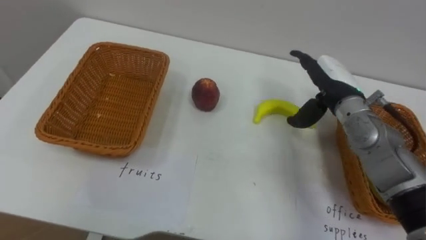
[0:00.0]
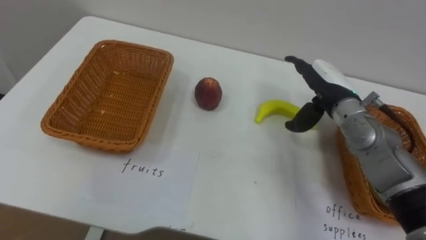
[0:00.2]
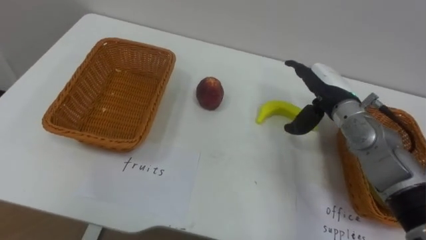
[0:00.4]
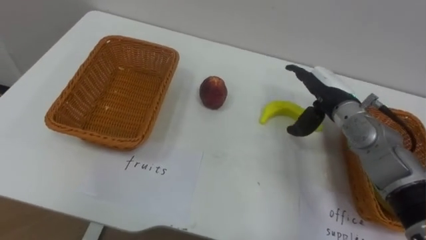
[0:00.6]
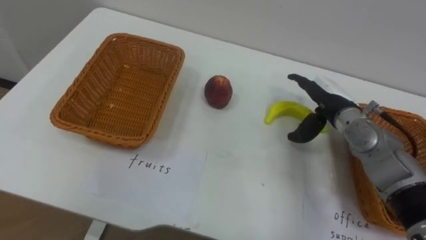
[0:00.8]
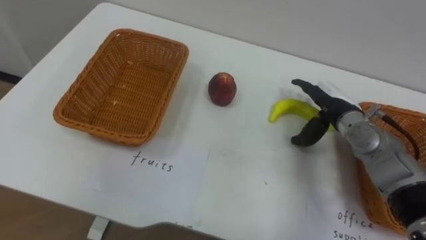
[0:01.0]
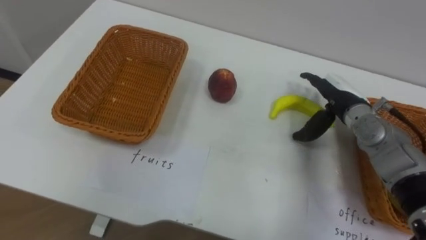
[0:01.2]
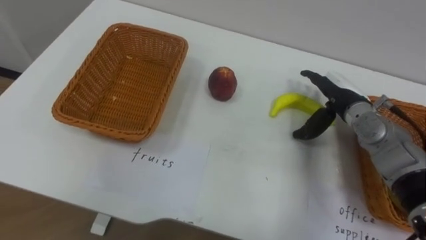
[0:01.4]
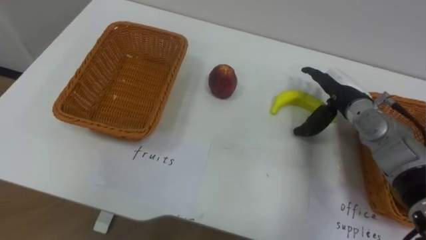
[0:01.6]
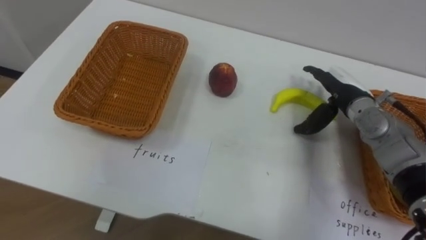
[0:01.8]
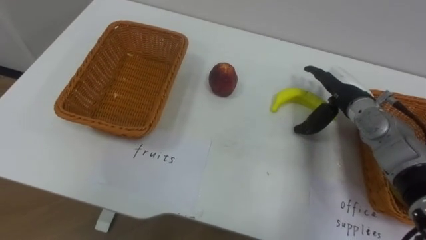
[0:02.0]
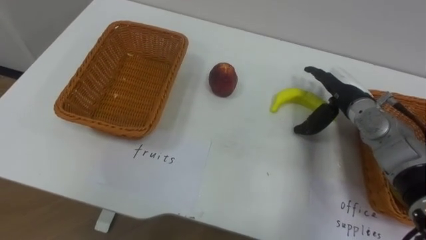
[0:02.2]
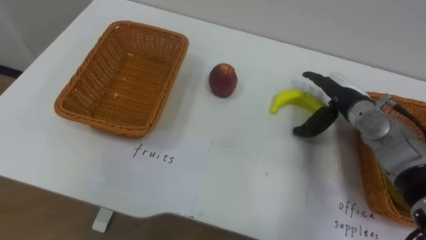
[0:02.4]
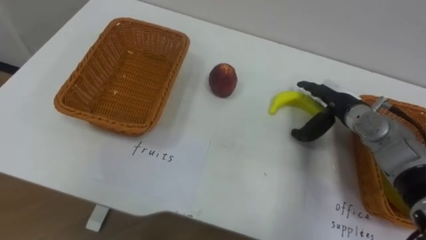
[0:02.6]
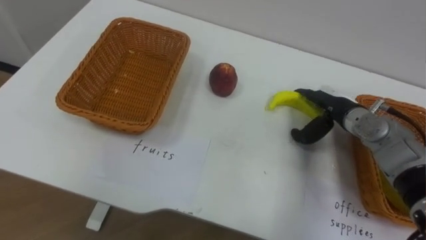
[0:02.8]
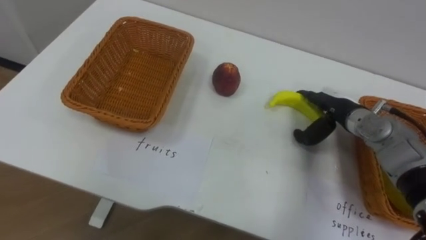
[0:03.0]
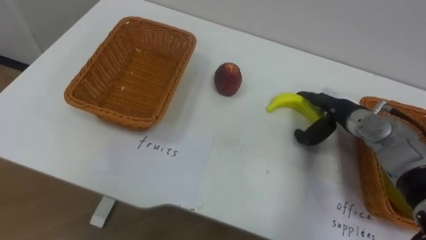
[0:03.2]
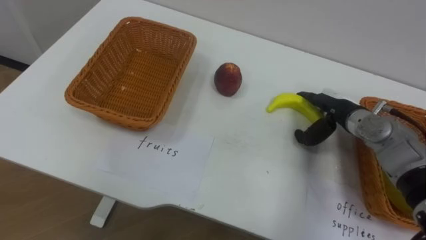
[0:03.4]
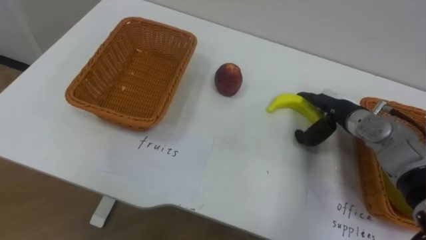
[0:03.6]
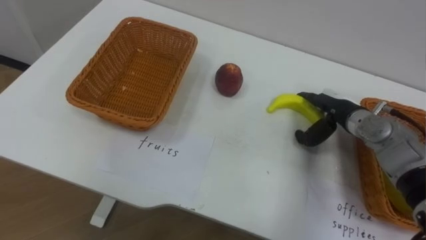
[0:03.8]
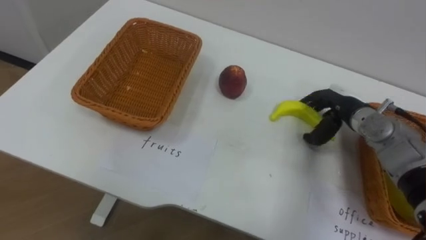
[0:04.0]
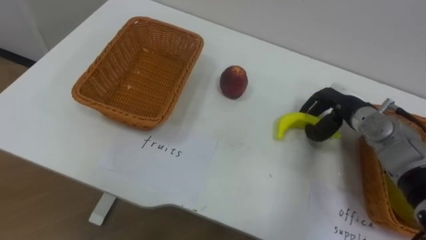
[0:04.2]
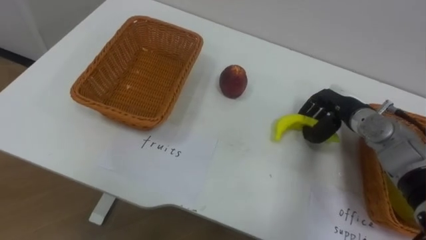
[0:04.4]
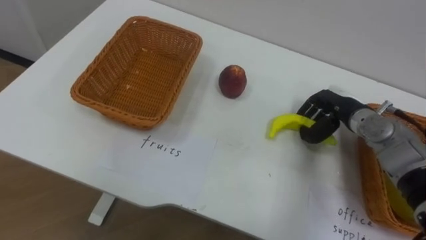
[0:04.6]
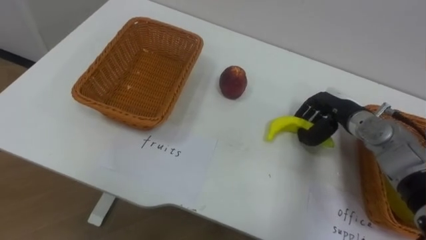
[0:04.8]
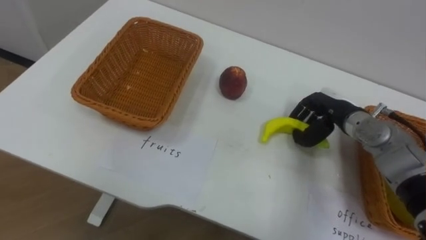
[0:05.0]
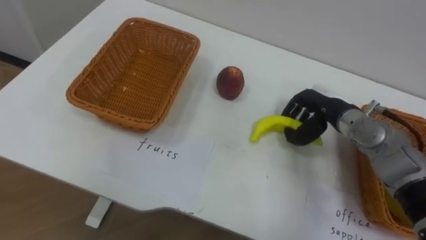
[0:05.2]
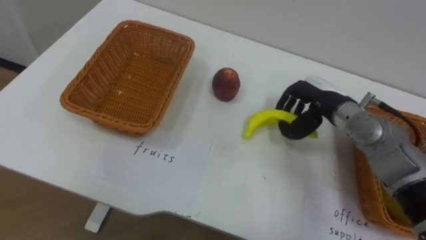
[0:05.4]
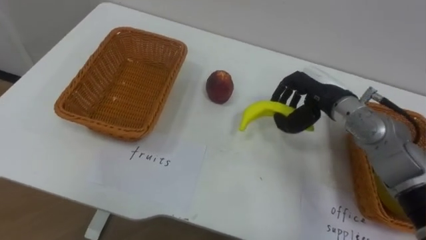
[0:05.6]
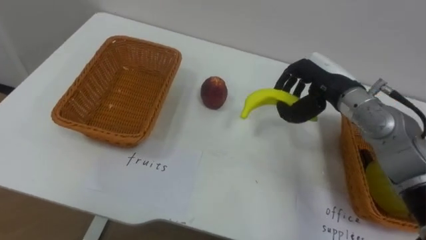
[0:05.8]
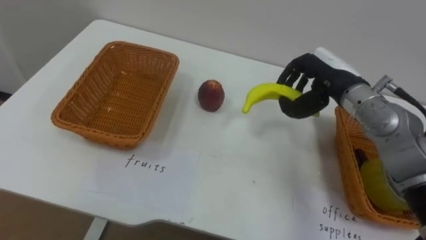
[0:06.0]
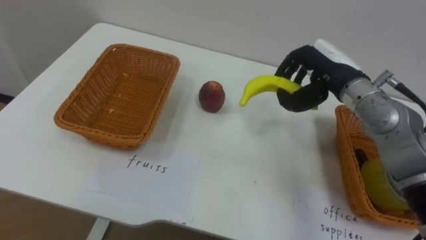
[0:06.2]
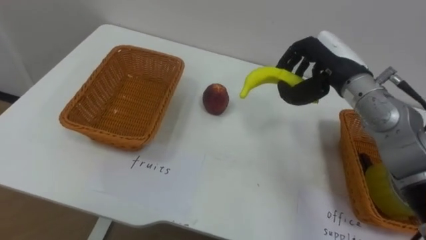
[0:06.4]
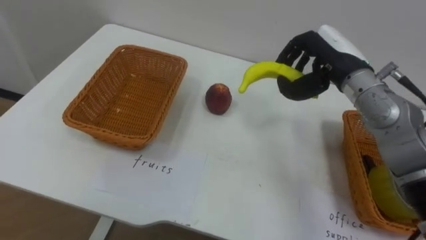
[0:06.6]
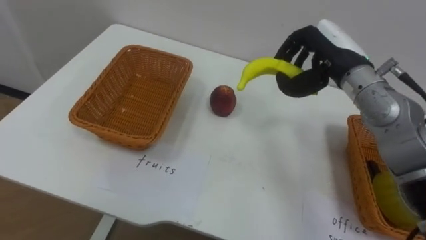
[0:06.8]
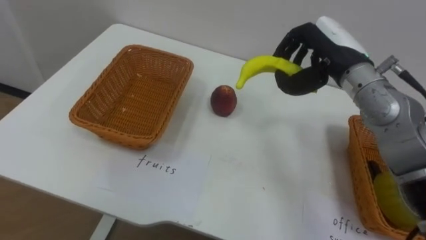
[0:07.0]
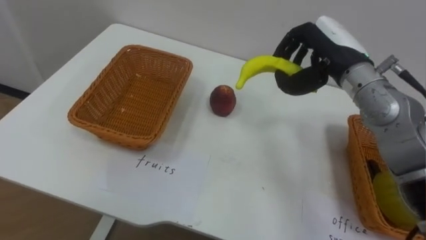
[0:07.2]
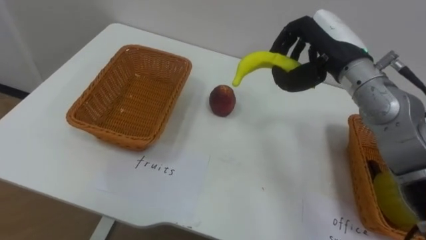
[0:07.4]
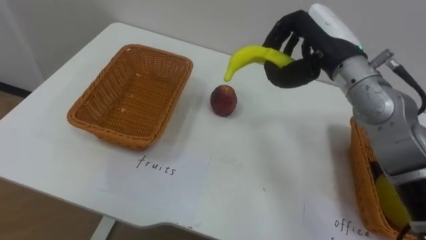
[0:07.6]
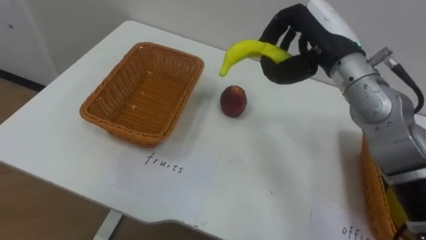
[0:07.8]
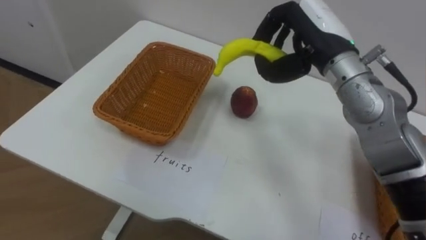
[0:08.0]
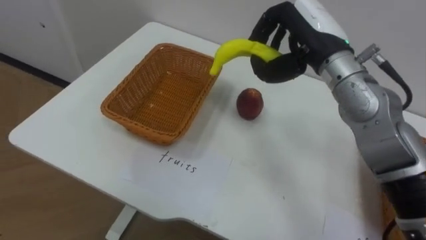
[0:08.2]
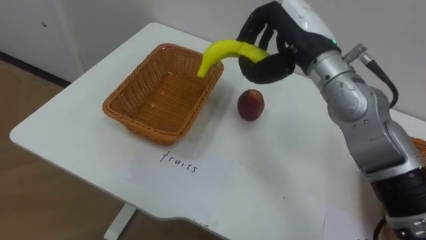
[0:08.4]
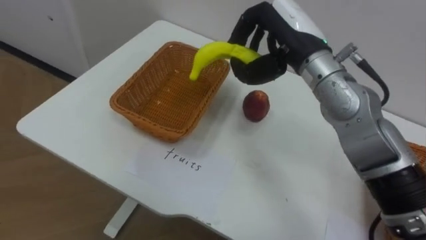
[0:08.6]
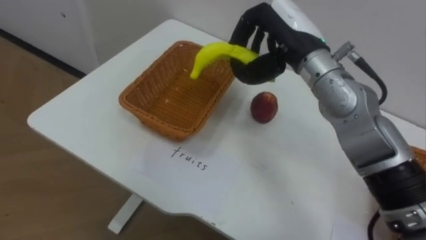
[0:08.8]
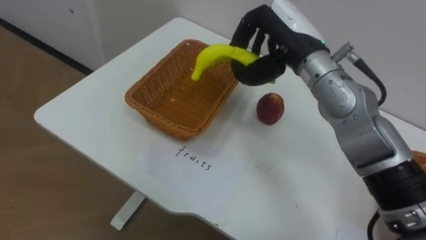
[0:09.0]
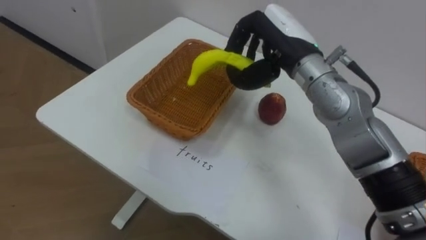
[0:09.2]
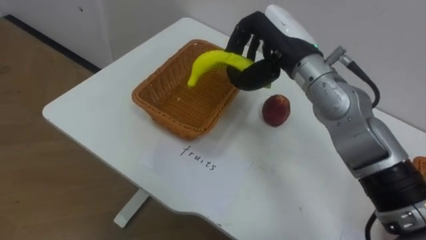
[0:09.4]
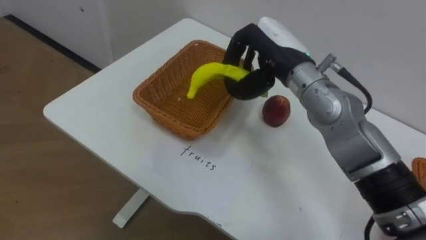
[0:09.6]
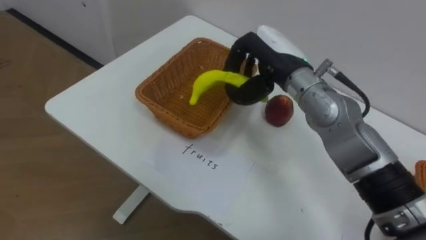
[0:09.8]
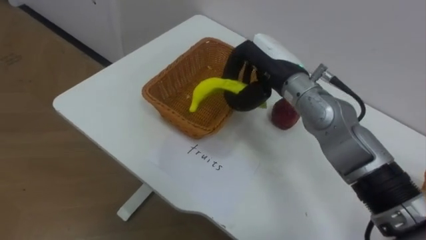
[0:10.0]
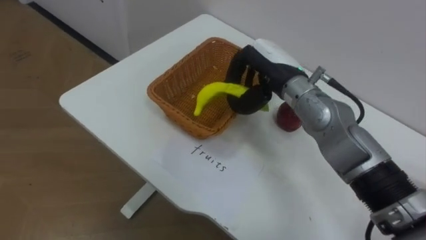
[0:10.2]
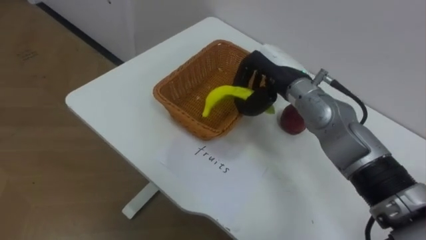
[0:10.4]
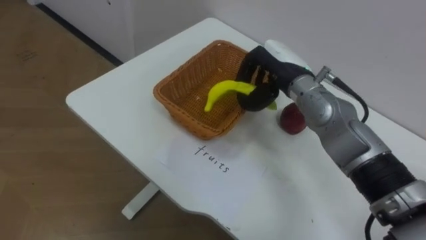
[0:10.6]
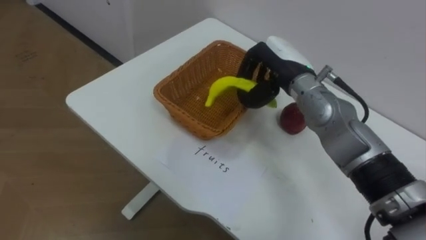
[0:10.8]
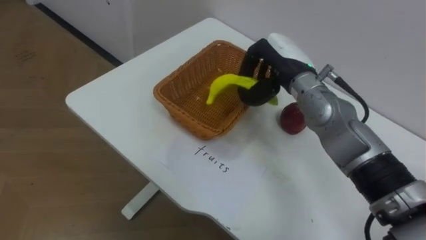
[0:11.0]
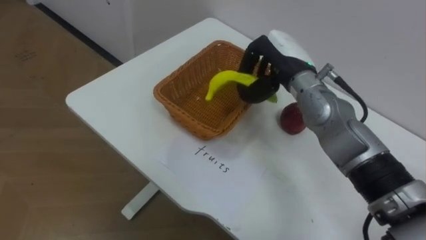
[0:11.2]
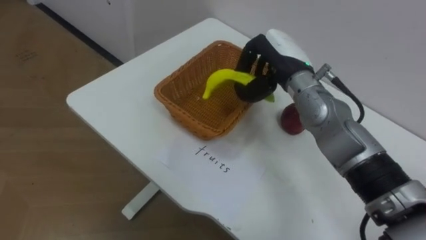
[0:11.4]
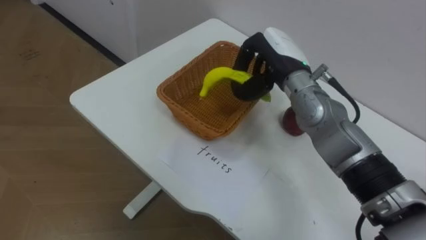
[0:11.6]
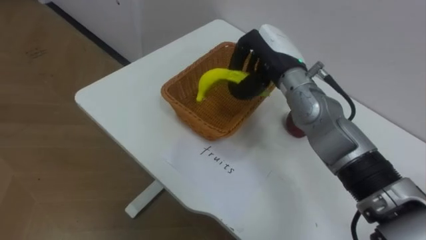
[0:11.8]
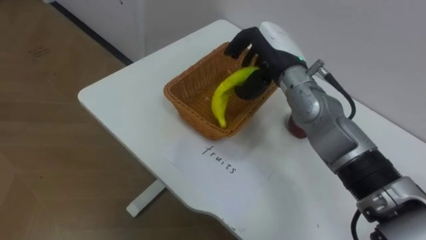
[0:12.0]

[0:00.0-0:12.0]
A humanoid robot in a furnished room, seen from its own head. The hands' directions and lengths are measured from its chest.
Task of the whole recording: Separate the items on the table and place them into the two baskets.
0:00.0 to 0:01.6: The right hand moves roughly 5 cm.
0:03.0 to 0:04.4: The right hand closes its fingers.
0:04.4 to 0:06.0: The right hand shifts roughly 10 cm upward.
0:06.0 to 0:07.6: The right hand travels upward by approximately 5 cm.
0:07.6 to 0:09.0: The right hand is displaced to the left by about 5 cm.
0:09.0 to 0:10.4: The right hand moves downward, approximately 10 cm.

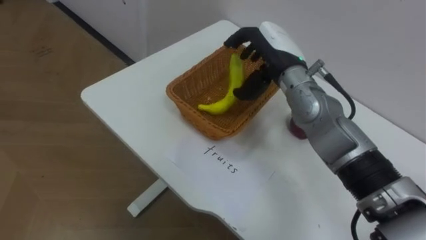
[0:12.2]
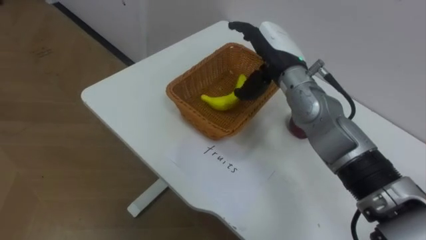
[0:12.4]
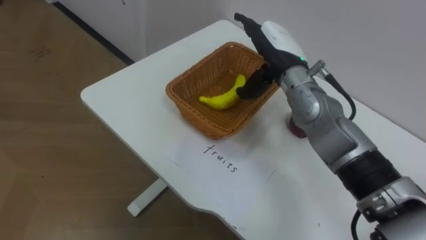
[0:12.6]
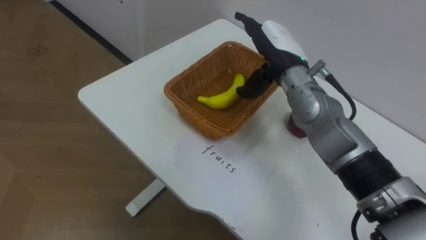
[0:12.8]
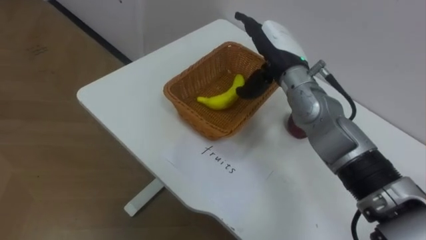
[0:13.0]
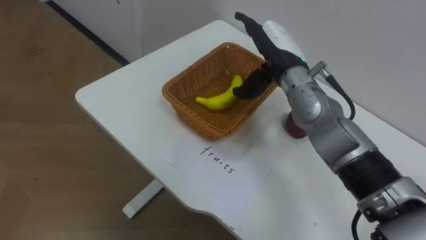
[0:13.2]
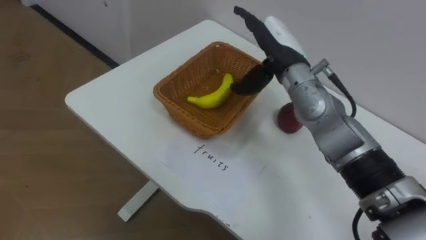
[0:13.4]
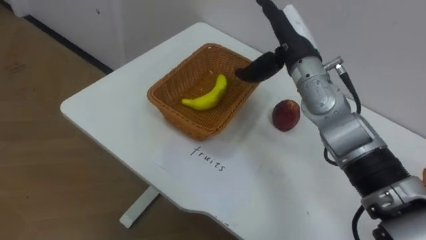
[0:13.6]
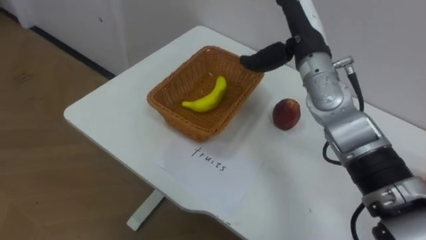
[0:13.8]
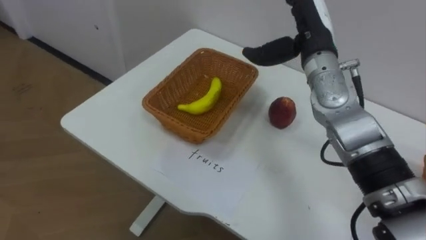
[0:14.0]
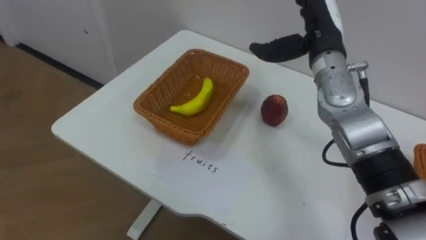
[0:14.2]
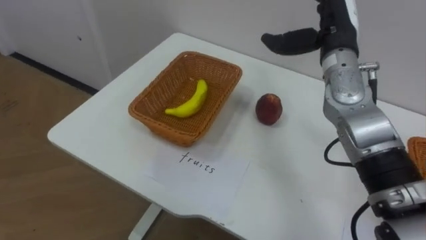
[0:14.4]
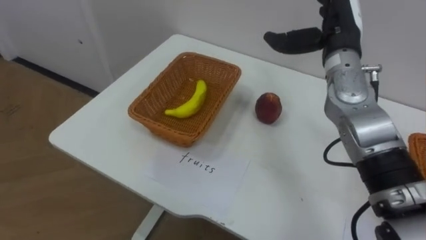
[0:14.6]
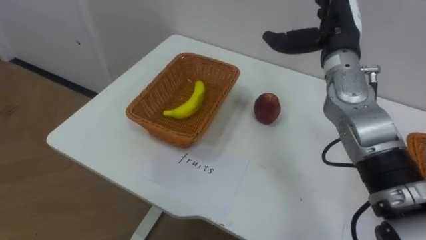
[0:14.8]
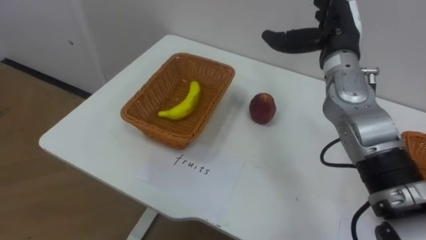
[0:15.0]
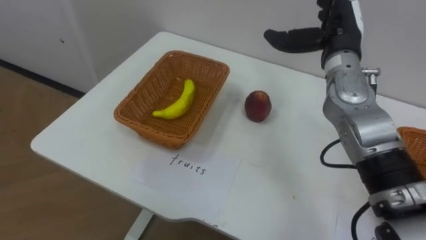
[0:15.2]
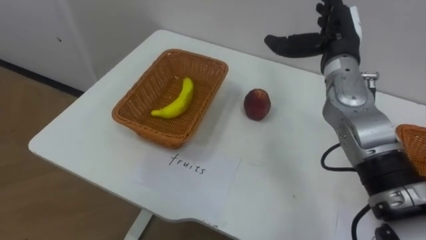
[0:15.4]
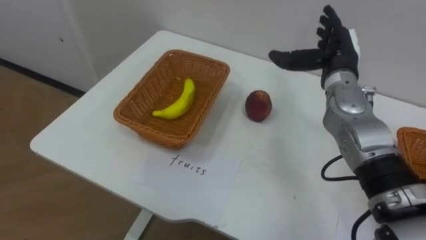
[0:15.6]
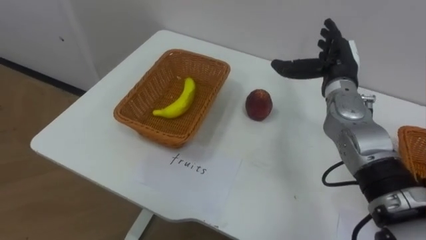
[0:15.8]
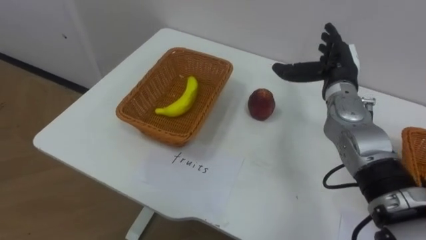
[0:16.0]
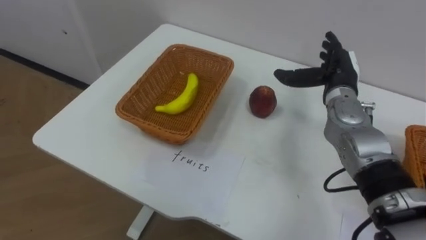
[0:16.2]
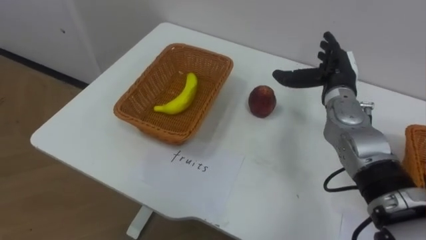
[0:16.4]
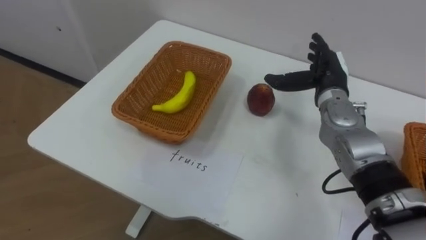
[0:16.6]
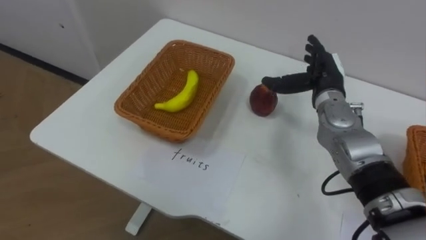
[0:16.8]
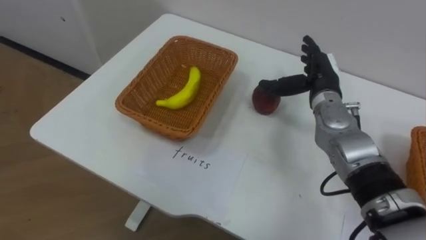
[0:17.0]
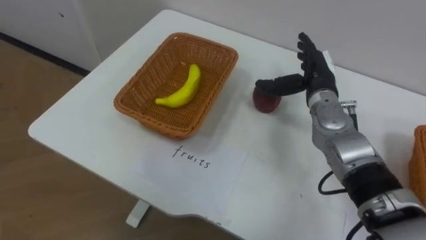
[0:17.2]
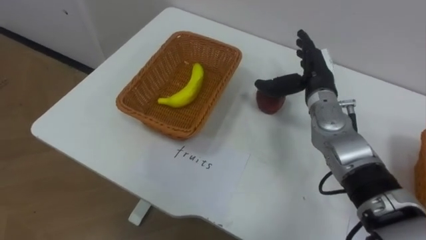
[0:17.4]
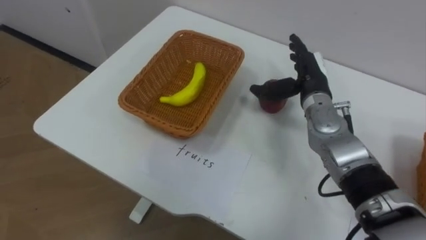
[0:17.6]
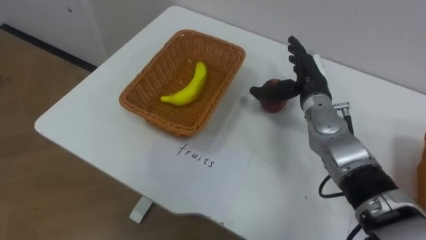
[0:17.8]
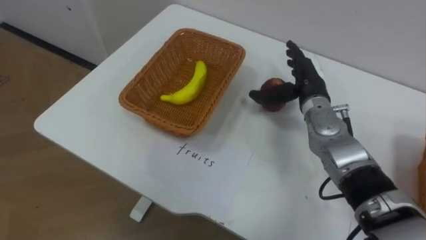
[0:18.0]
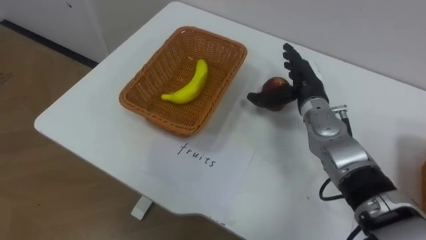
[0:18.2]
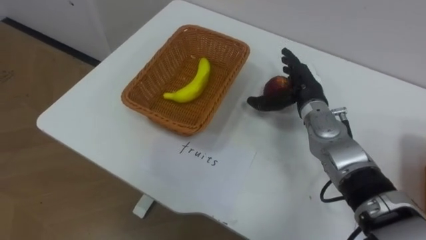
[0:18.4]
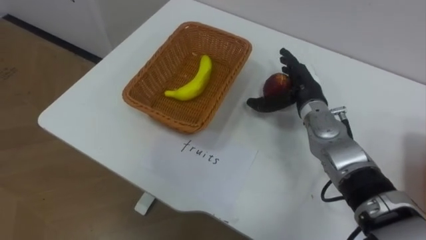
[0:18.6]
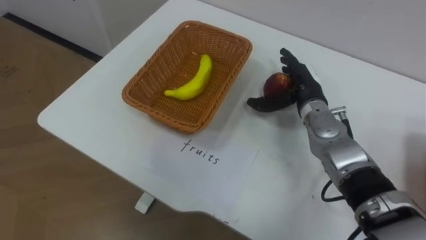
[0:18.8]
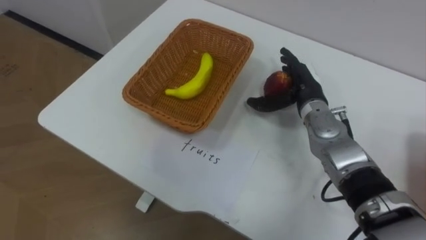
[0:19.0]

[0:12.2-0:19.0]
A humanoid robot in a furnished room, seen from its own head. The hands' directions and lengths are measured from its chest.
Task of the whole recording: Separate the items on the table and place them into the two baskets.
0:13.6 to 0:15.0: The right hand goes approximately 5 cm to the right.
0:15.0 to 0:16.2: The right hand shifts some 10 cm downward.
